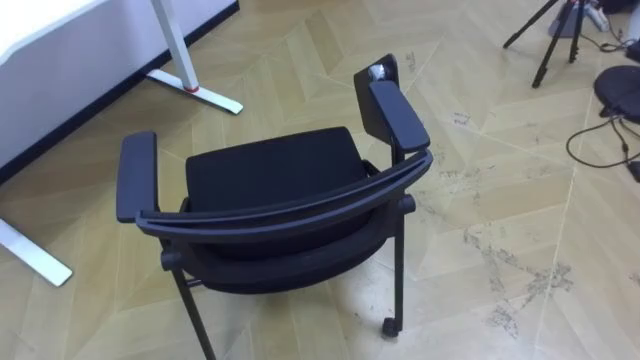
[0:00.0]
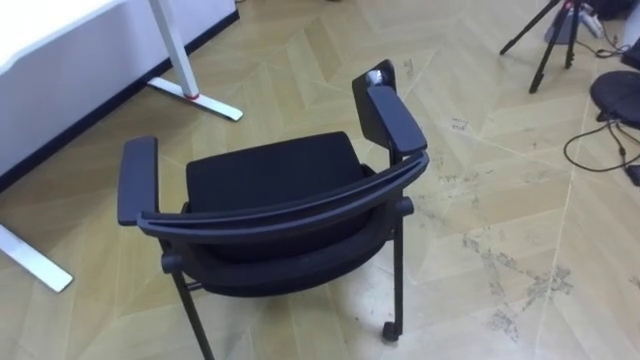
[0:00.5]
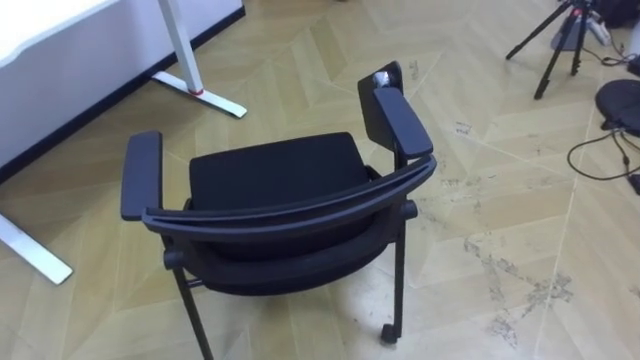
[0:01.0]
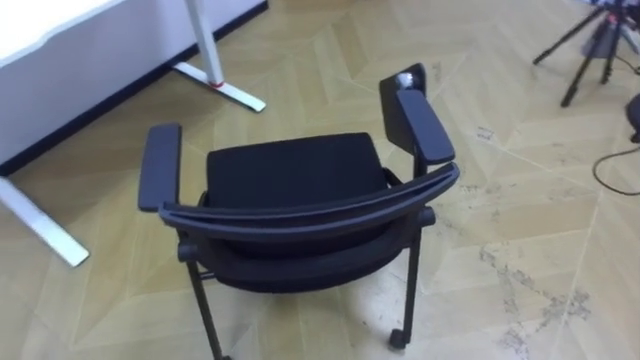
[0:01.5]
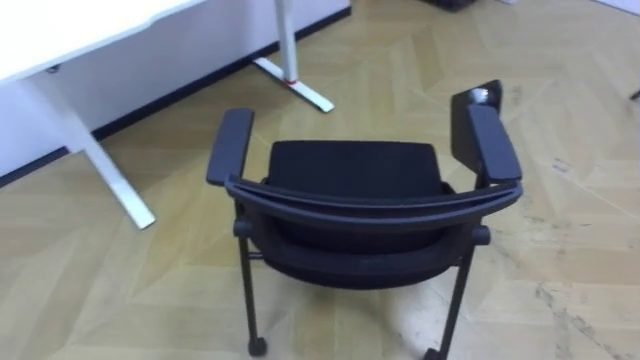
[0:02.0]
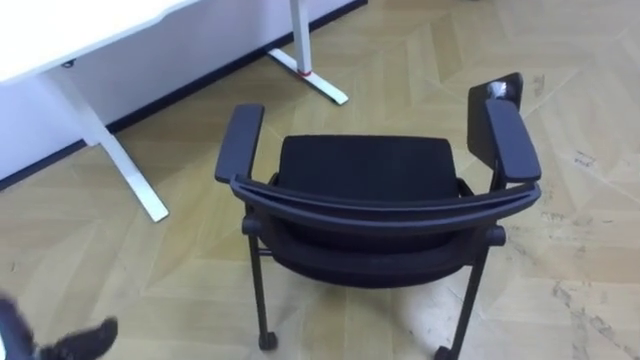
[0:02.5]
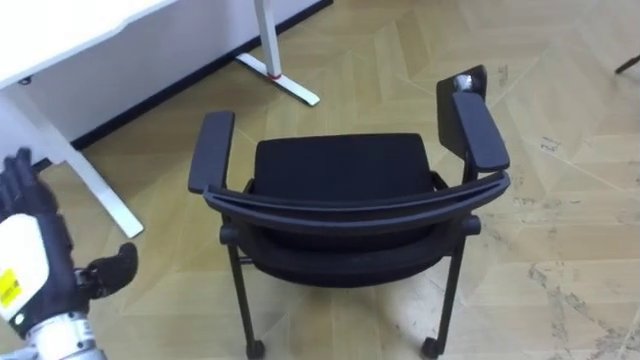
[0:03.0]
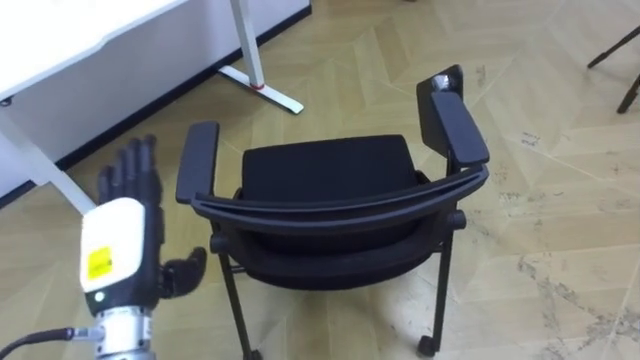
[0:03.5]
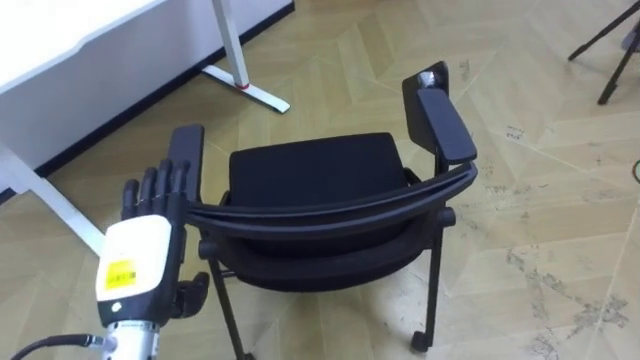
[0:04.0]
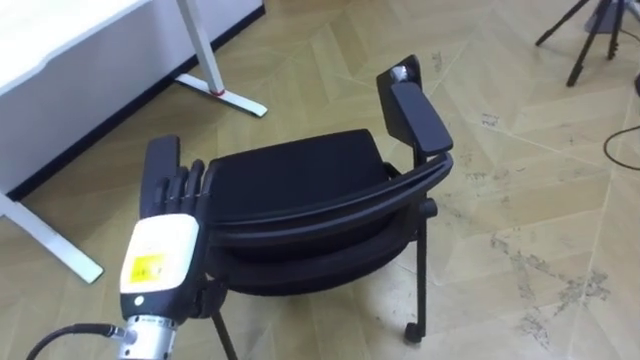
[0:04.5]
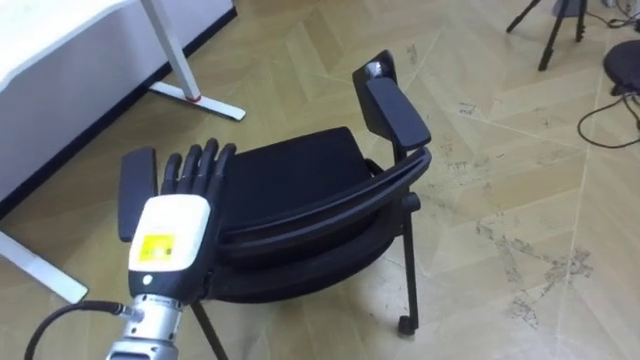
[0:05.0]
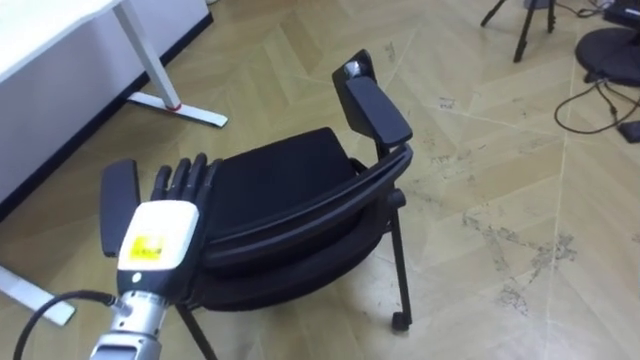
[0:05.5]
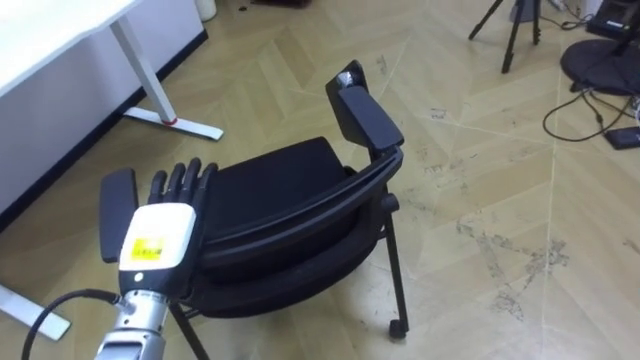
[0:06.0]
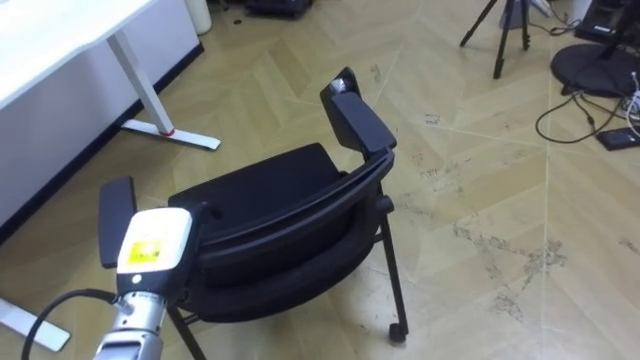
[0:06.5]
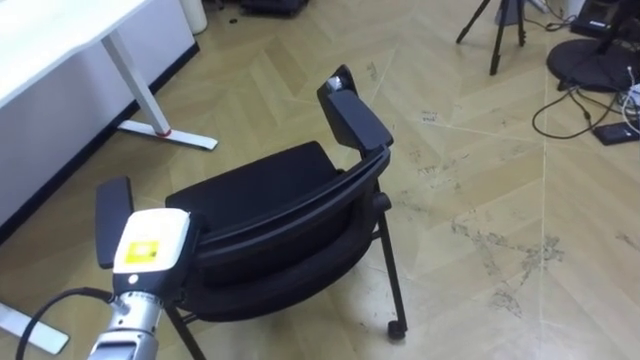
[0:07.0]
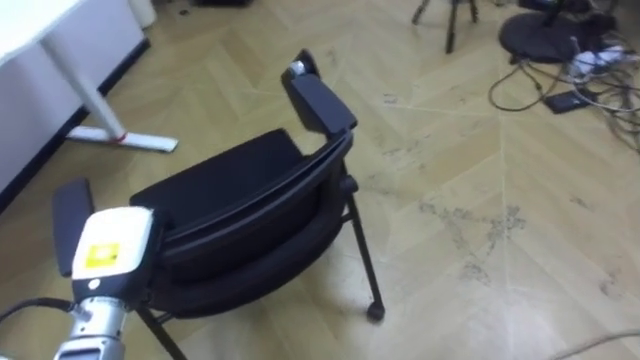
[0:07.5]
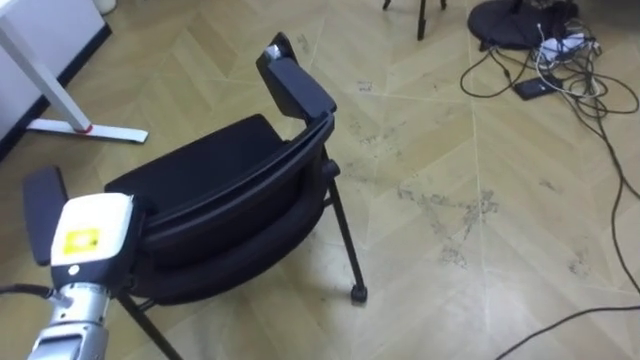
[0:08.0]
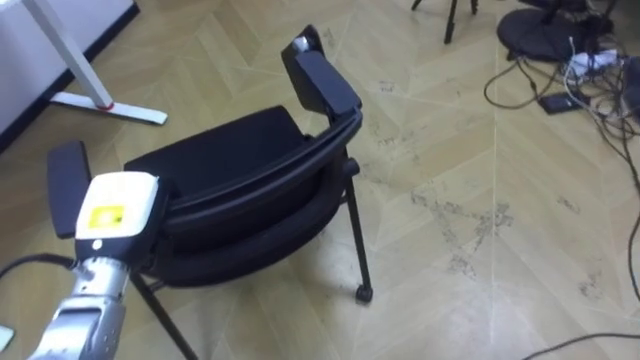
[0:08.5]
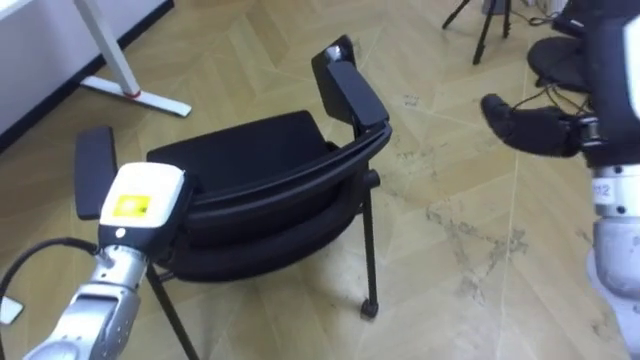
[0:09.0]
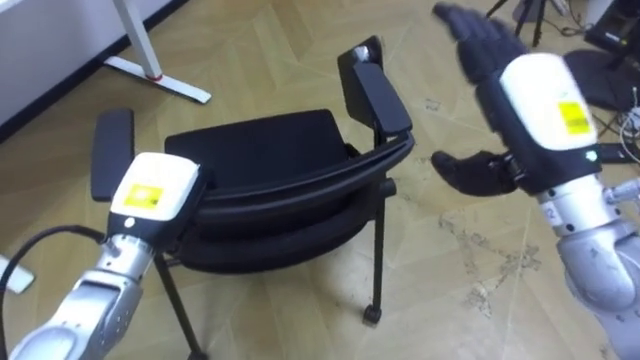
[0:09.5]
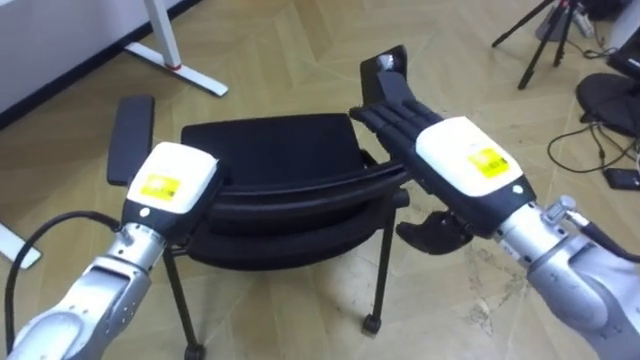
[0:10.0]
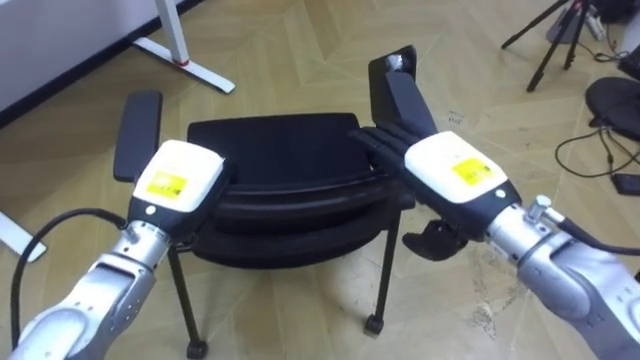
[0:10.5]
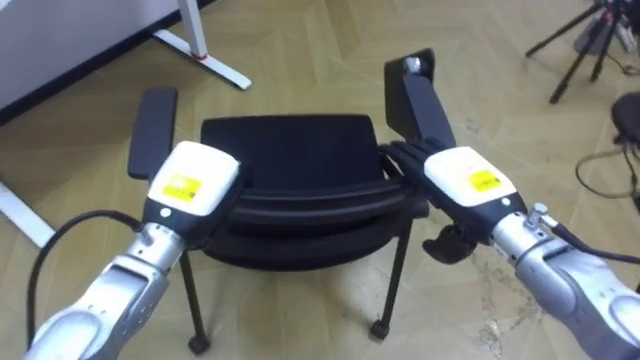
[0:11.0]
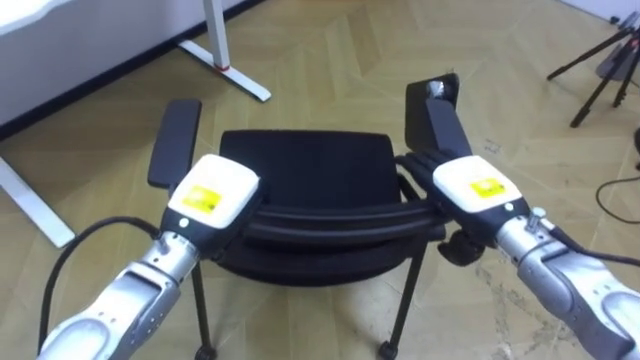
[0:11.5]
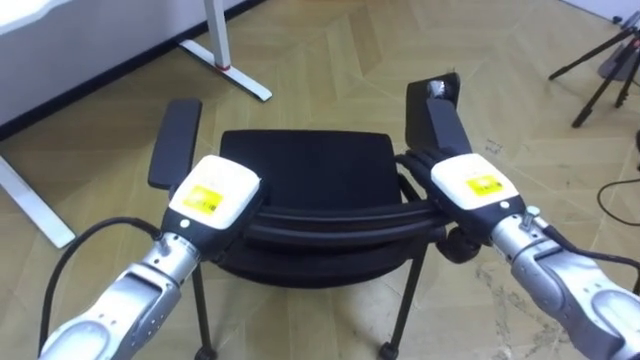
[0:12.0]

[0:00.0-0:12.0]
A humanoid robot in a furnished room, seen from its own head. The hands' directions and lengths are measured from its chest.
Task of the whole recording: Push the chair under the table.
0:04.0 to 0:06.0: The left hand ends up about 5 cm from where it was.
0:06.0 to 0:08.0: The left hand moves to the left, roughly 5 cm, and closes up.
0:08.0 to 0:10.0: The left hand shifts about 10 cm to the right.
0:10.0 to 0:12.0: The right hand heads downward, covering some 10 cm, while the left hand moves roughly 5 cm.

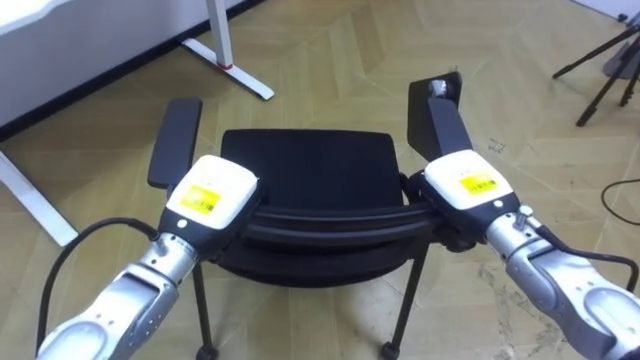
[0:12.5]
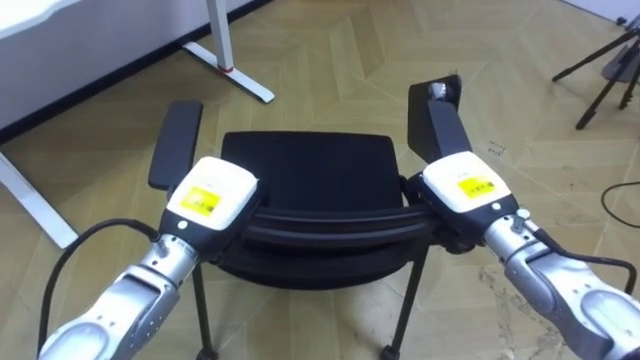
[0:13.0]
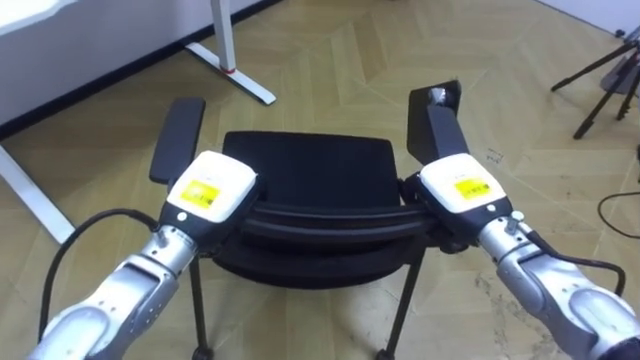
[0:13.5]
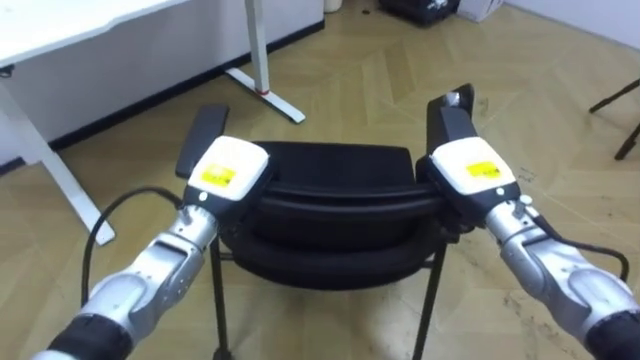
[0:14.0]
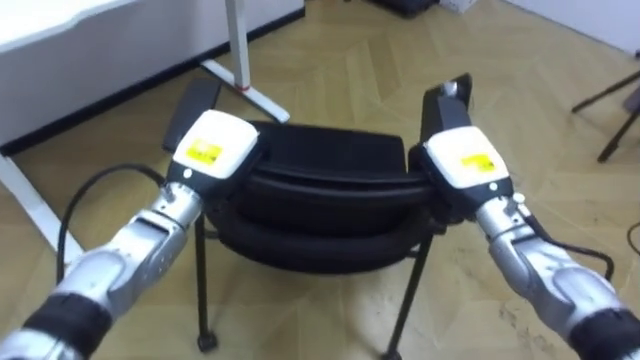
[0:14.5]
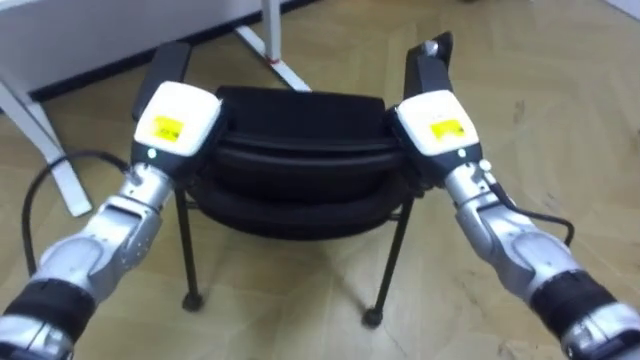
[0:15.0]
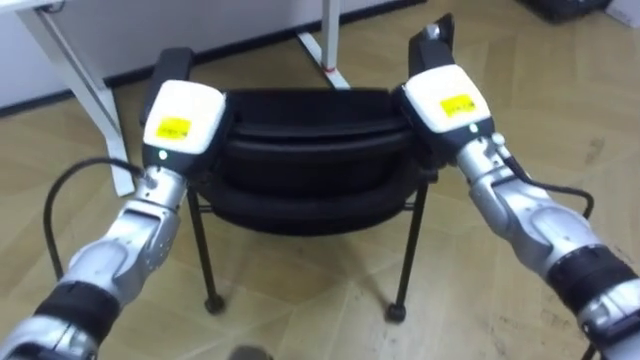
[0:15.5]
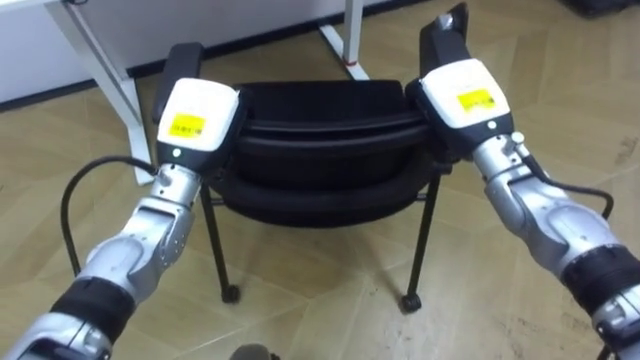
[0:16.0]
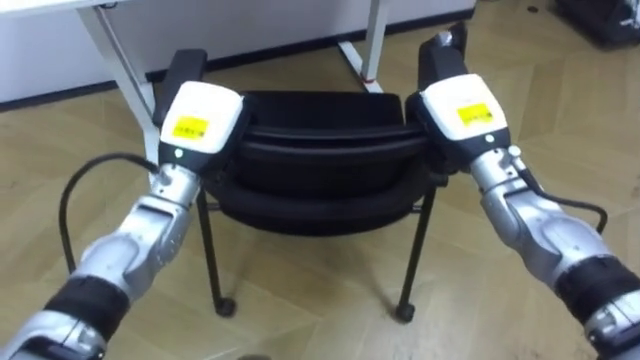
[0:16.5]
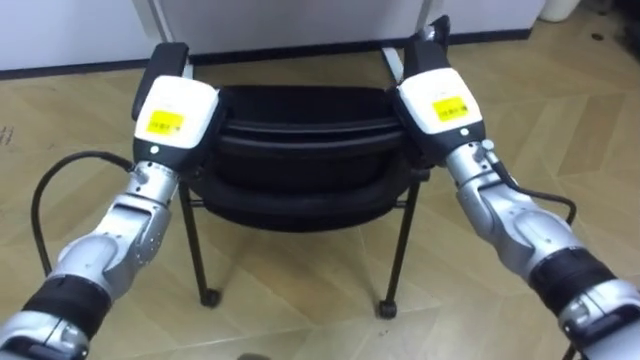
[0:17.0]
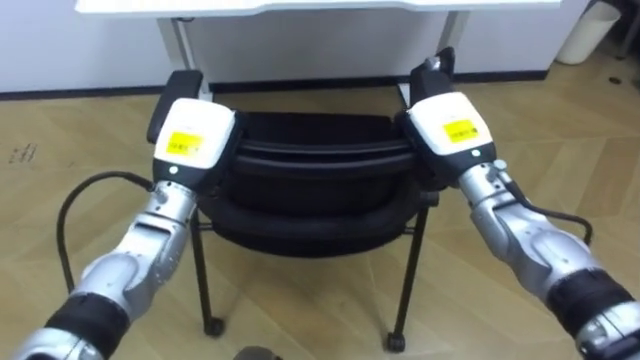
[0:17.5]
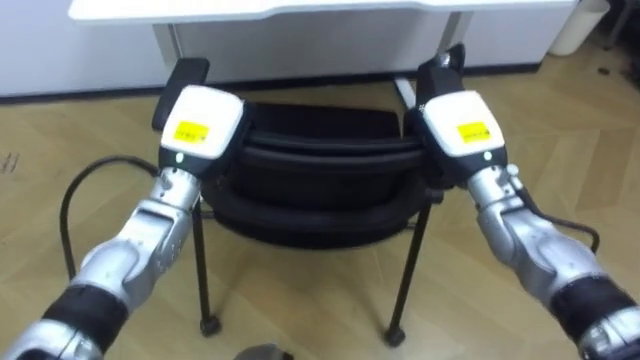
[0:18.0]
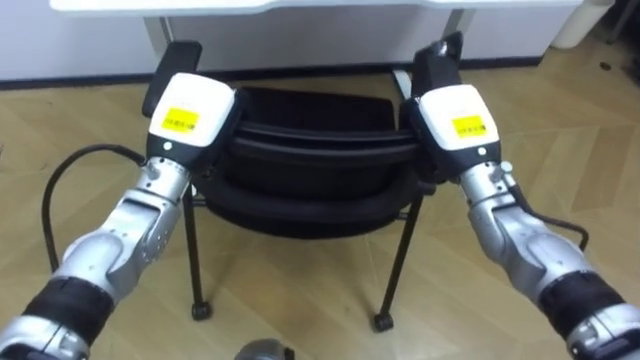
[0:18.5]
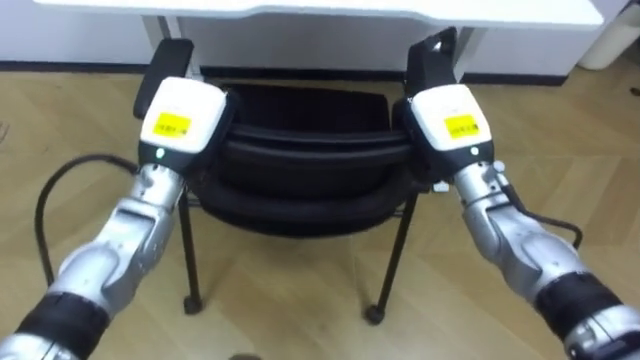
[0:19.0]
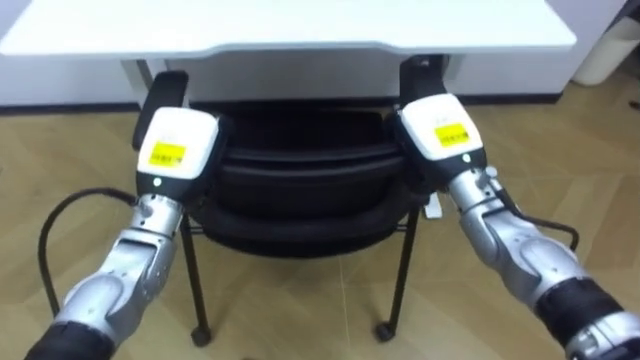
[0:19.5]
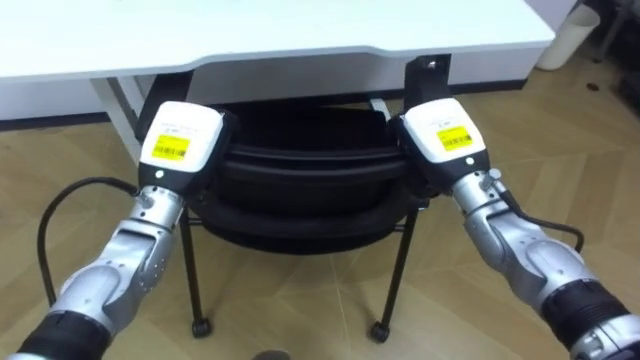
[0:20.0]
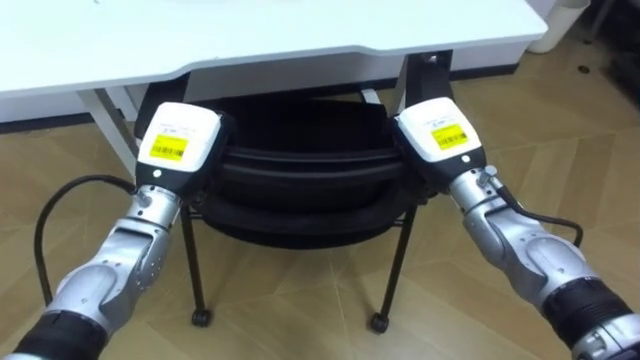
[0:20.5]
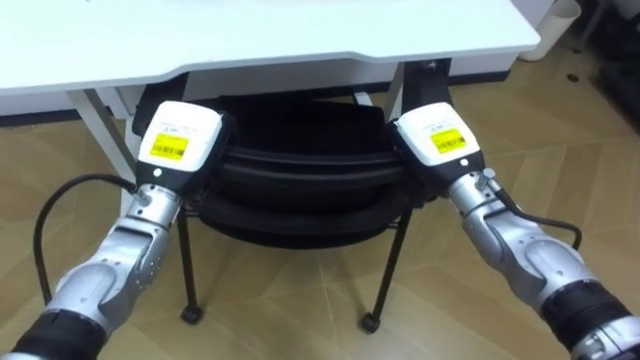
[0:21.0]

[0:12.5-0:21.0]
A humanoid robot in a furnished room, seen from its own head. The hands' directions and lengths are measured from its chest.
Task of the whole recording: Push the chair under the table.
0:12.5 to 0:14.5: The left hand shifts approximately 5 cm forward.
0:14.5 to 0:16.5: The robot's body swings approximately 25 degrees to its left. The right hand shifts approximately 5 cm upward.
